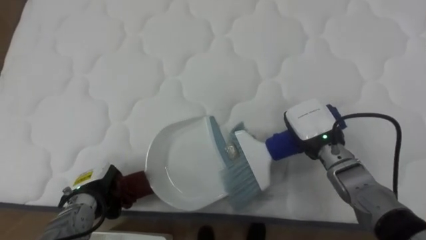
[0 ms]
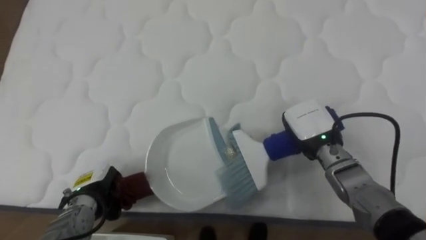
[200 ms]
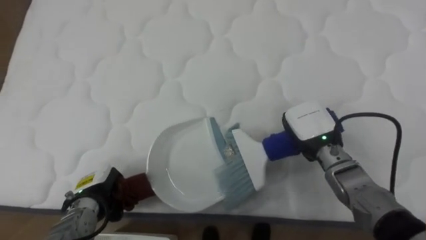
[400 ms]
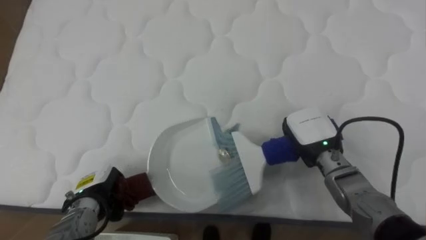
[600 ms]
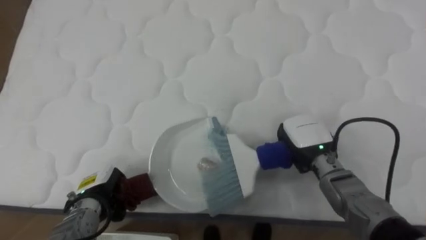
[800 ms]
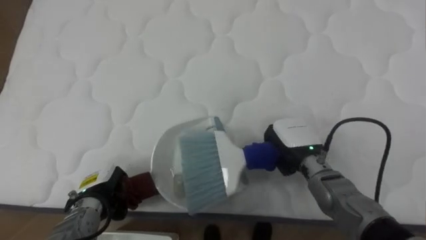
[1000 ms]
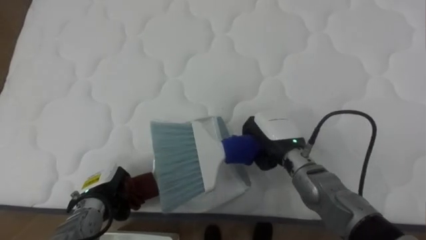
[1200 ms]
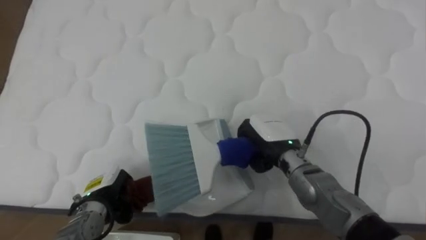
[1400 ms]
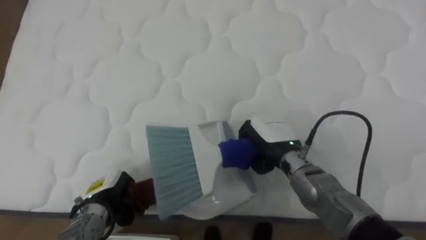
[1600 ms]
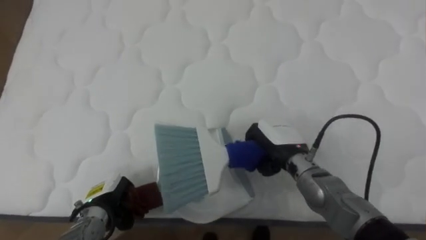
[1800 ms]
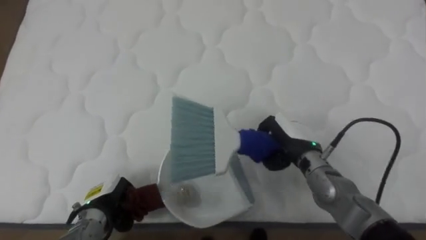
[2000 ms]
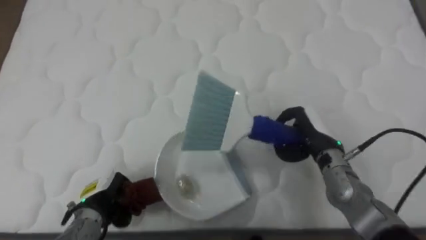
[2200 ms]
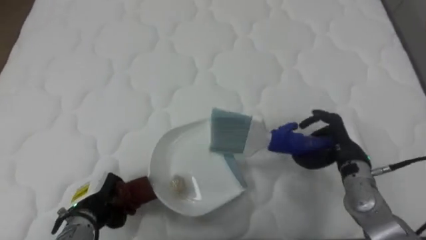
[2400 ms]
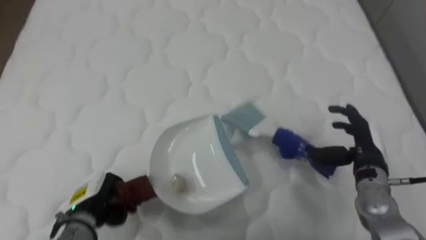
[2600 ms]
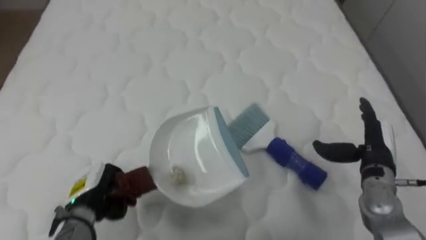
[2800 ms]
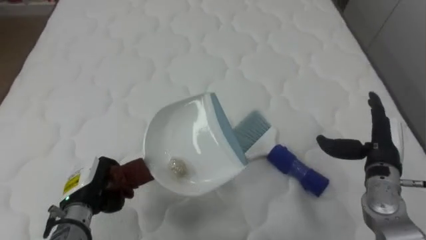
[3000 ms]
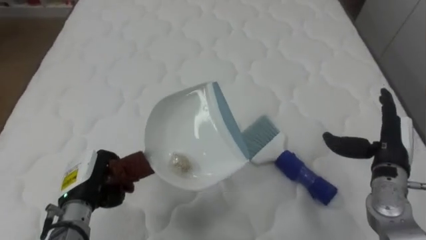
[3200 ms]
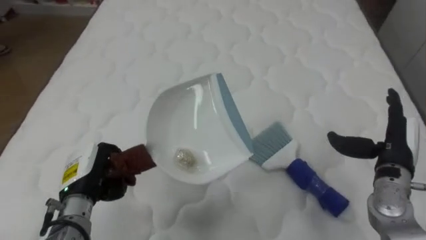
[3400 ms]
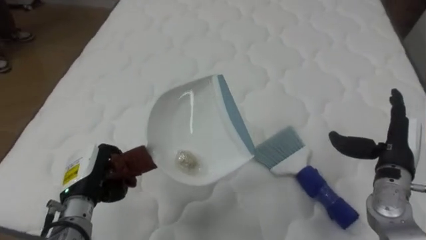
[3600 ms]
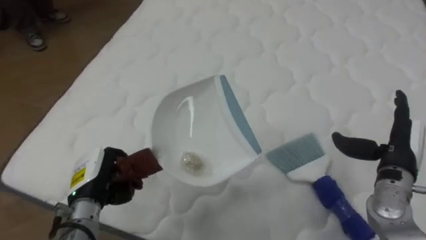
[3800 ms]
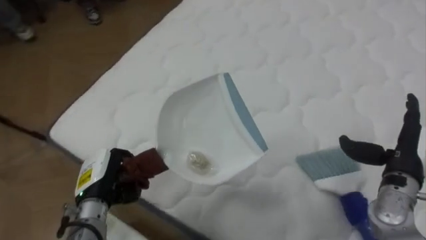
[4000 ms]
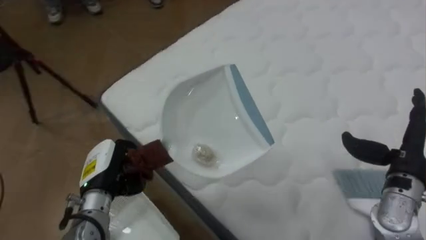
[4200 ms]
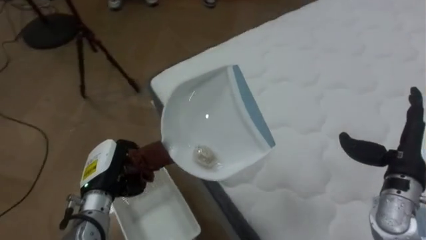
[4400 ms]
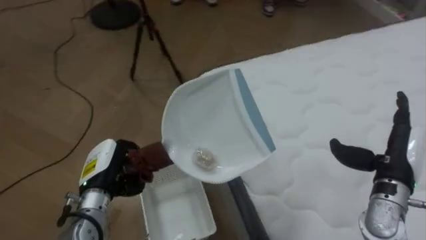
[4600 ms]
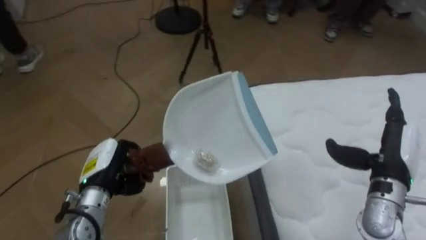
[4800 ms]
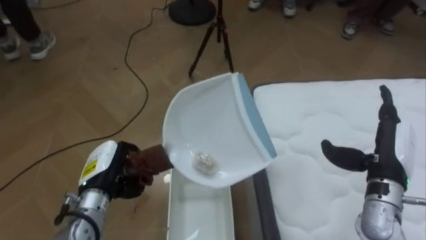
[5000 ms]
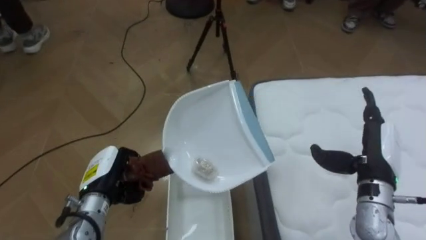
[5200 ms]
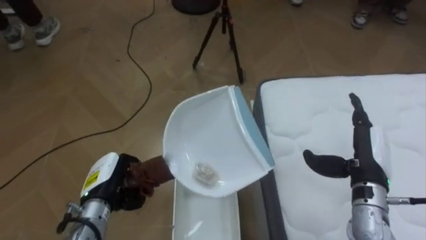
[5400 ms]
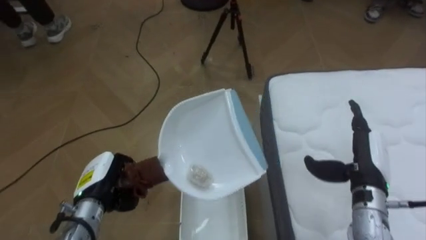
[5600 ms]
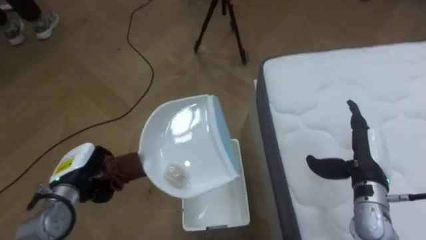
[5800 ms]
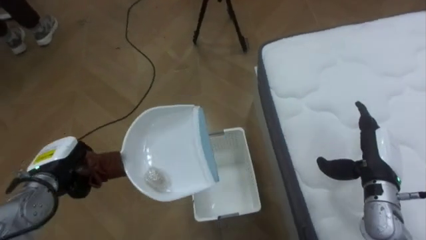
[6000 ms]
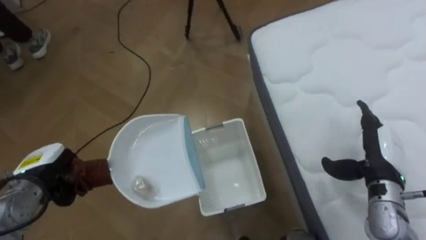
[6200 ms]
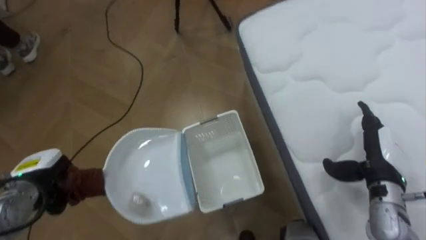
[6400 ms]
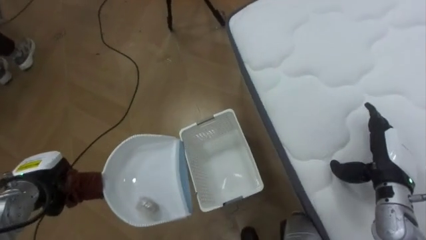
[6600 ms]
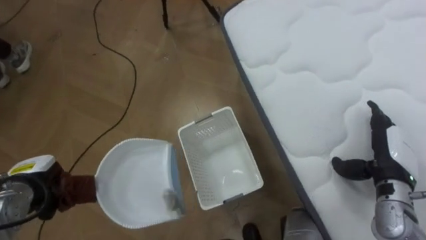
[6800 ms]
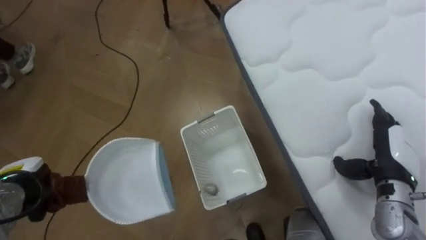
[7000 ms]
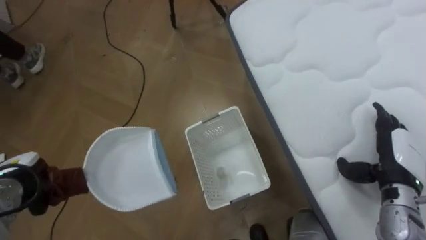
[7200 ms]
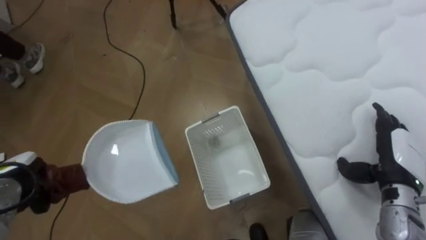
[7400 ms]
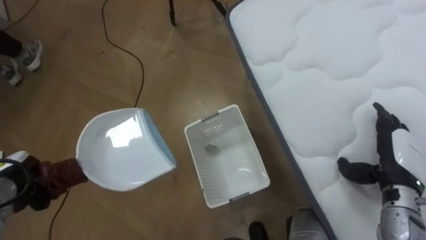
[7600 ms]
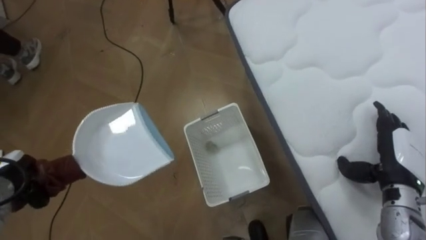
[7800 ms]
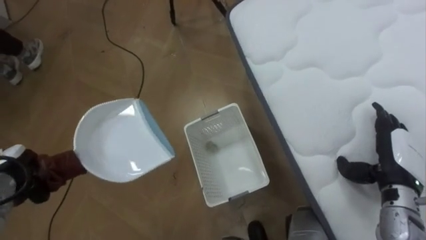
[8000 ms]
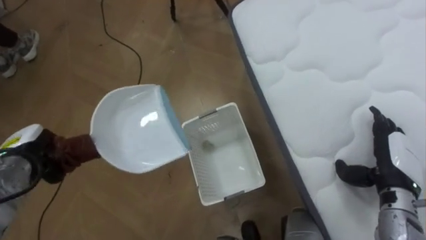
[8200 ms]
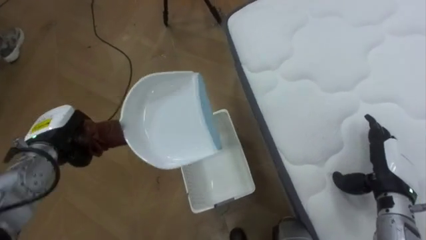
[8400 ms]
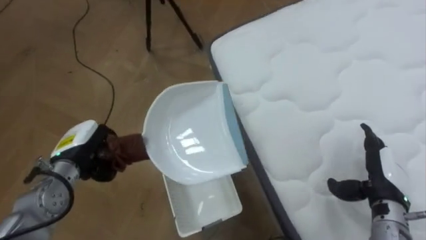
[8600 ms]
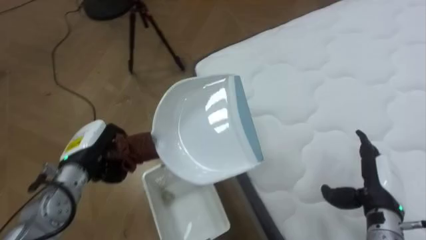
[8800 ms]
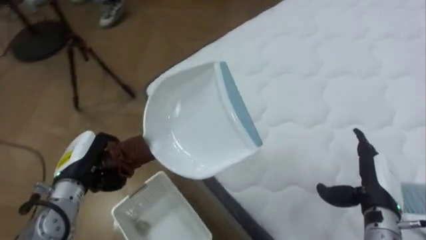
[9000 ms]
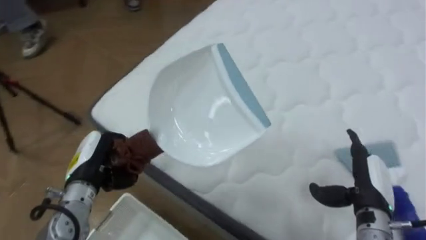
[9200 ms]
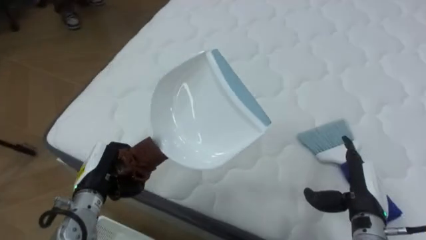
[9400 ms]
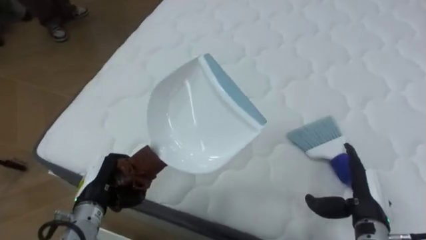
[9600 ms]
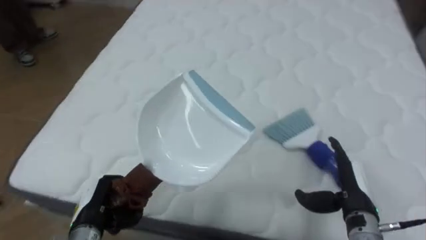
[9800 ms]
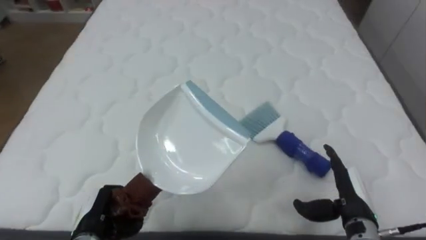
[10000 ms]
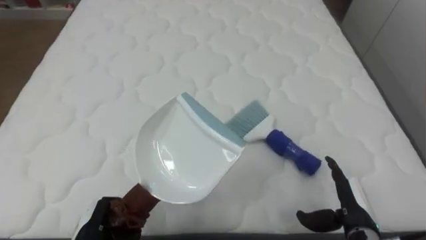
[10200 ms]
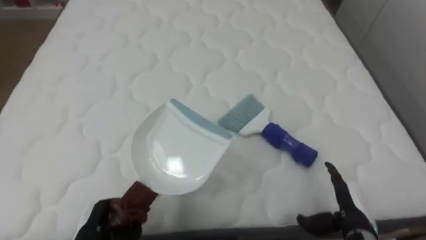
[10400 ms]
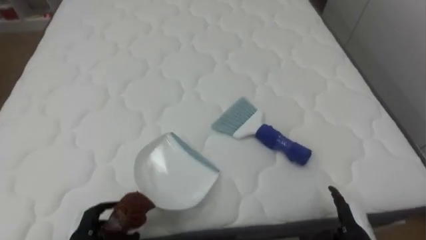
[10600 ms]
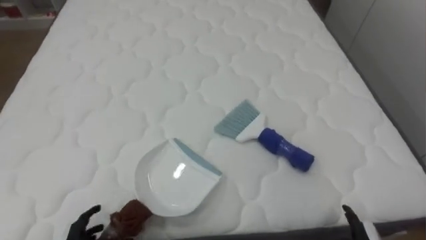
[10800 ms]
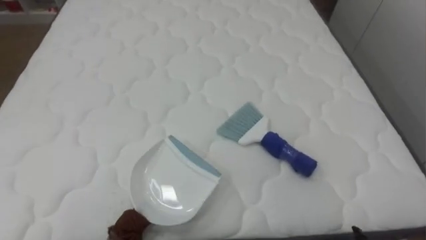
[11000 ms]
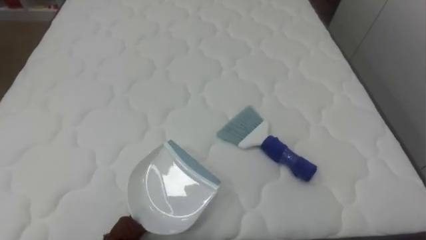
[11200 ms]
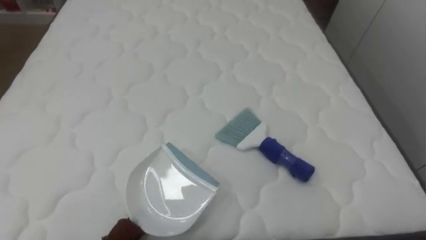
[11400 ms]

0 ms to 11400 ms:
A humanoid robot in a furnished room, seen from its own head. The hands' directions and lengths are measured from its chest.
Task of the whole recording: Pick up the brush on your right and the dustpan on your left. Use the brush to sweep the crumpled paper on the bed into the dustpan, then turn left and empty it into the basket.
0 ms to 1400 ms: The right hand goes roughly 10 cm to the left.
1400 ms to 2800 ms: The right hand heads to the right, covering about 20 cm, and opens its fingers.
2800 ms to 4200 ms: The robot rotates about 50 degrees to its left. The right hand ends up approximately 5 cm from where it was. The left hand travels upward by some 5 cm.
4200 ms to 5600 ms: The robot turns to its left by approximately 40 degrees. The right hand heads to the left, covering approximately 5 cm.
5600 ms to 7200 ms: The left hand travels to the left by about 15 cm.
7200 ms to 8600 ms: The left hand goes roughly 10 cm to the right.
8600 ms to 10000 ms: The robot's body swings about 75 degrees to its right. The left hand goes approximately 15 cm backward and downward. Meanwhile the right hand moves to the left, about 5 cm.

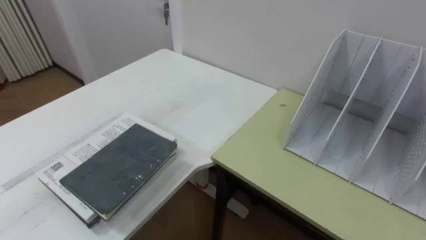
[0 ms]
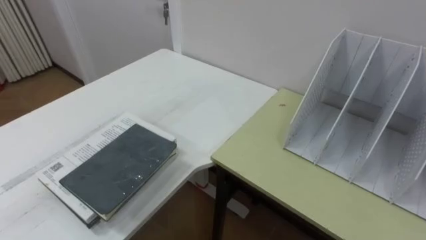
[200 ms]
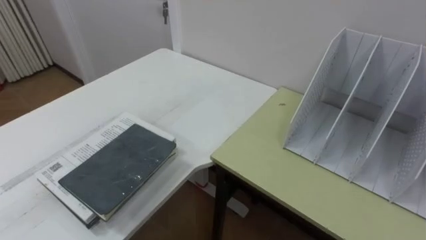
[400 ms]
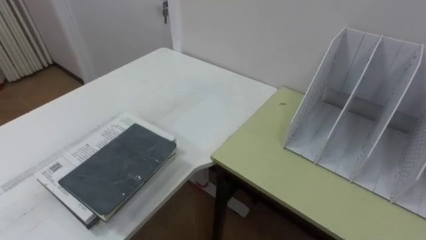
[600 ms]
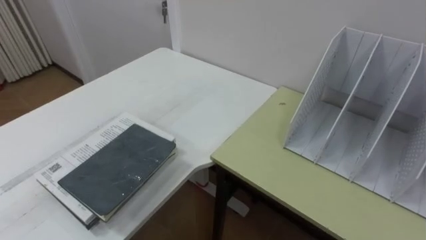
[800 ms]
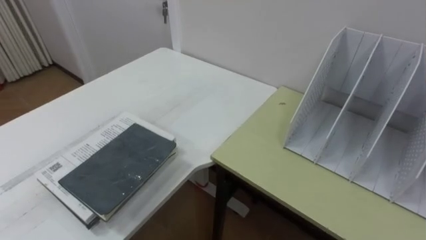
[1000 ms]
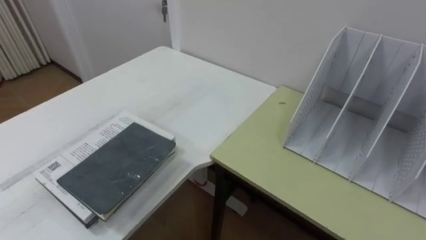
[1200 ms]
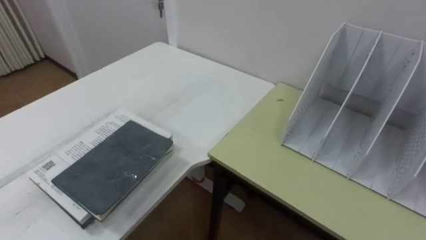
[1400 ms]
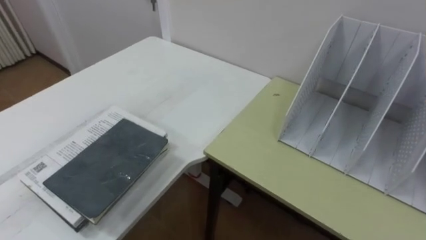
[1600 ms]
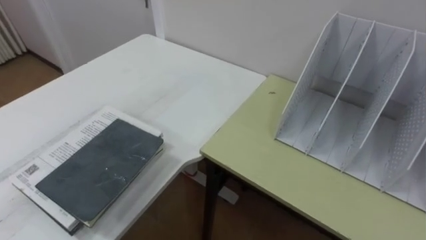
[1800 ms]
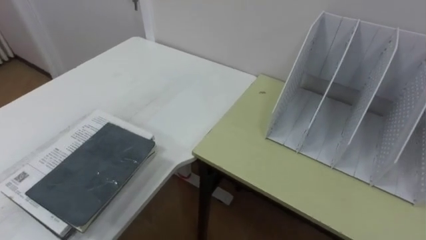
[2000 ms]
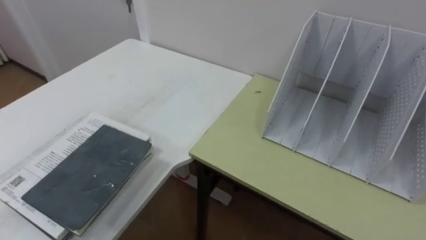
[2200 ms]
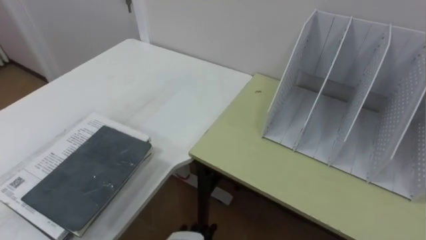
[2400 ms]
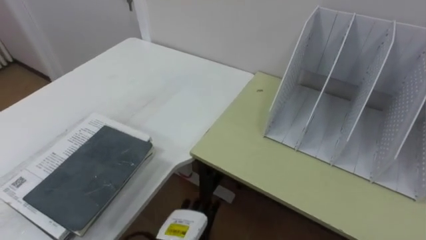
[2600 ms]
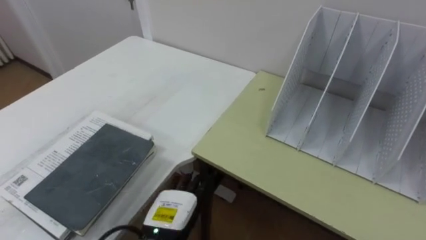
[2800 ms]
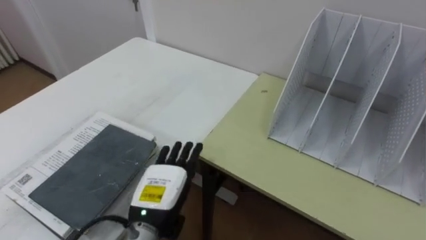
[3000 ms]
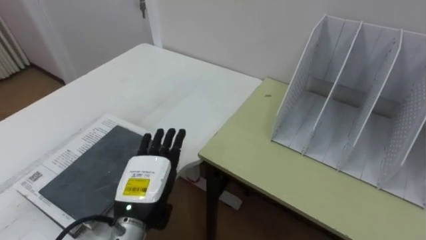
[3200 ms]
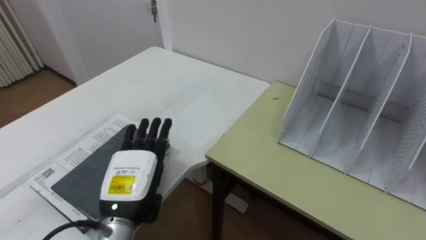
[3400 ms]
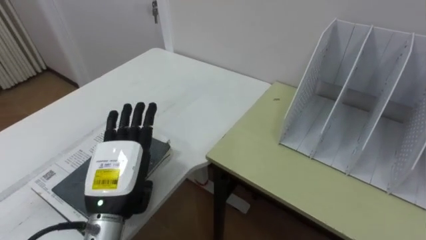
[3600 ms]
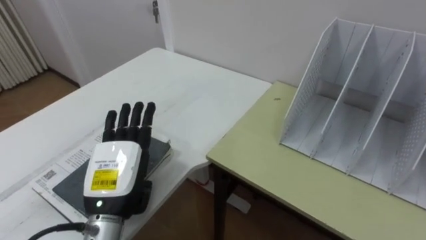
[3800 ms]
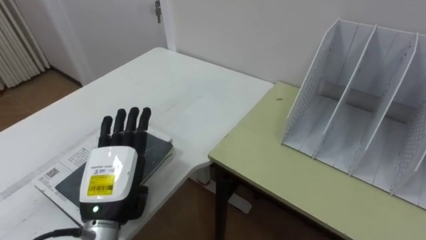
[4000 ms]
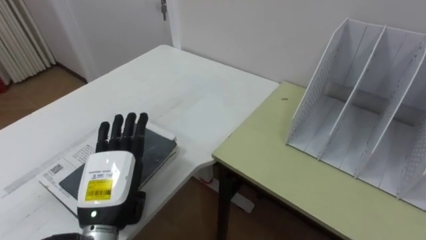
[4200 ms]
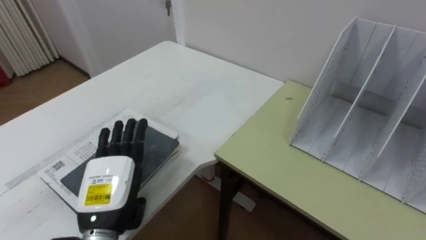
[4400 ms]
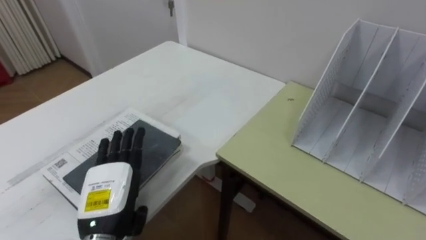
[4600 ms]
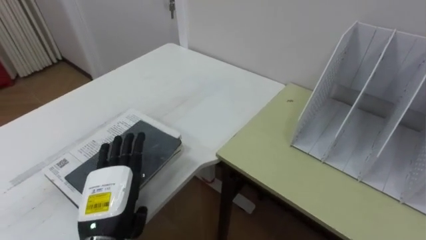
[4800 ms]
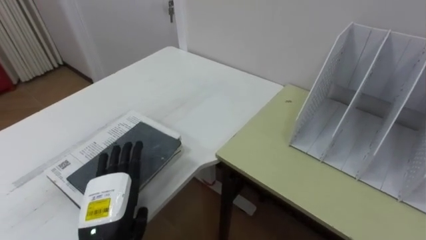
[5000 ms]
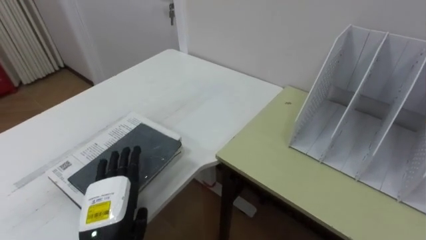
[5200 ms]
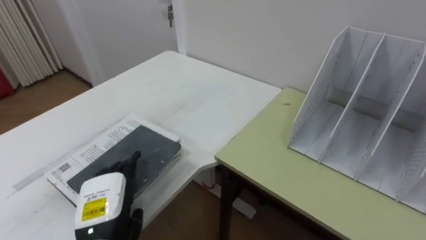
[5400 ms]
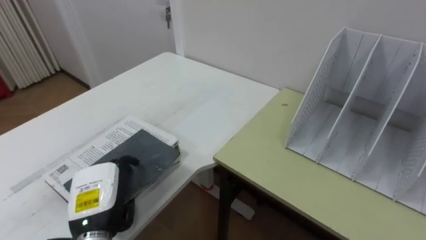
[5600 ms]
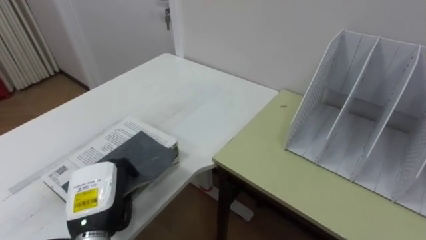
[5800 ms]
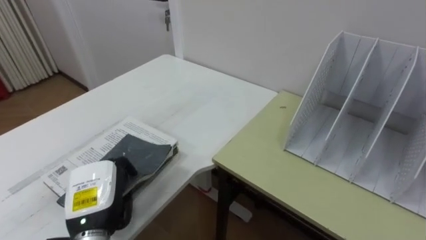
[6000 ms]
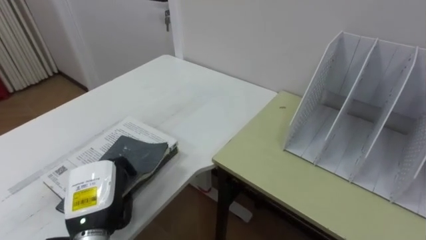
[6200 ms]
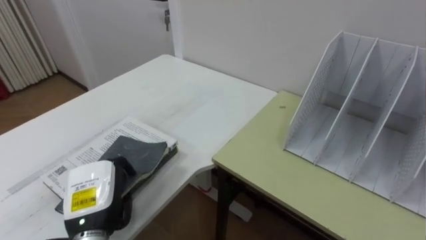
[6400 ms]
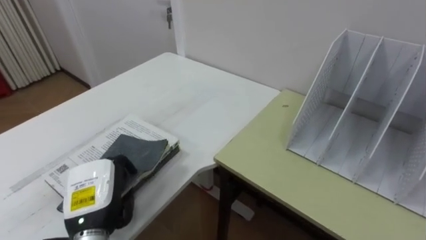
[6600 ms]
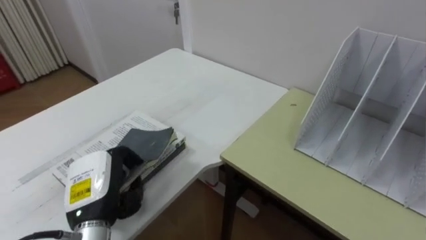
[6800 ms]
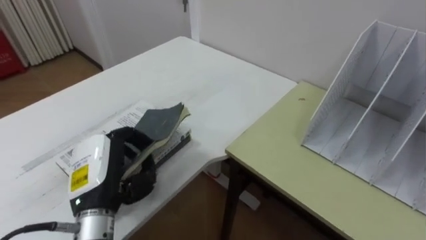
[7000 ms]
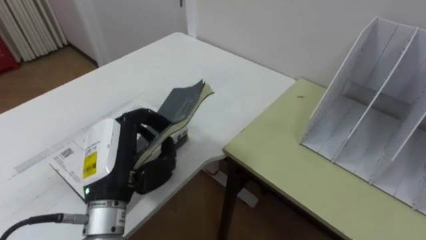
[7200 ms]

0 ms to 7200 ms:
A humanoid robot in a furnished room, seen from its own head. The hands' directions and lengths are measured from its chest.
Task of the whole recording: Put the books on the table onto the bookshelf.
2800 ms to 4400 ms: The left hand goes roughly 15 cm upward and to the left.
4400 ms to 5800 ms: The left hand closes its fingers.
5800 ms to 7200 ms: The left hand goes about 10 cm upward.
